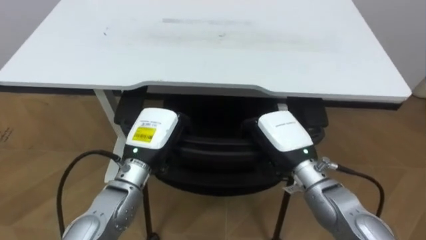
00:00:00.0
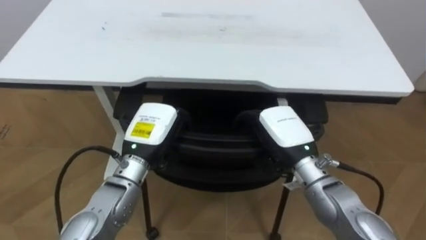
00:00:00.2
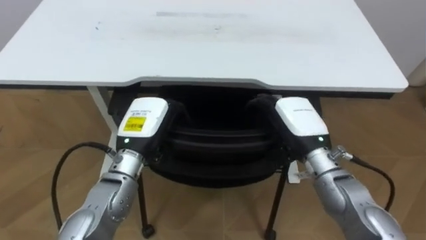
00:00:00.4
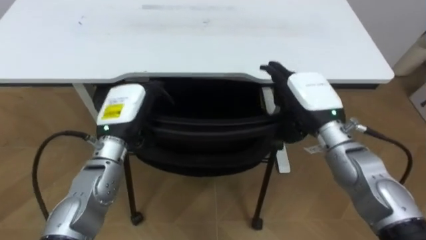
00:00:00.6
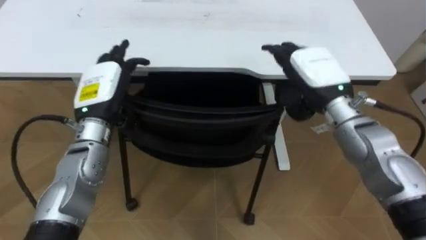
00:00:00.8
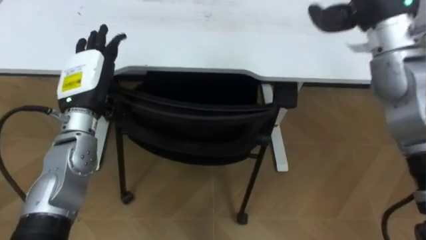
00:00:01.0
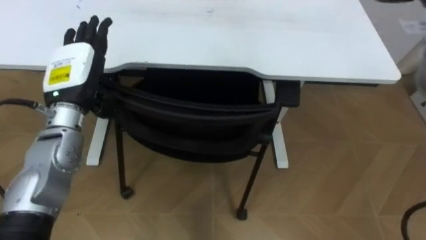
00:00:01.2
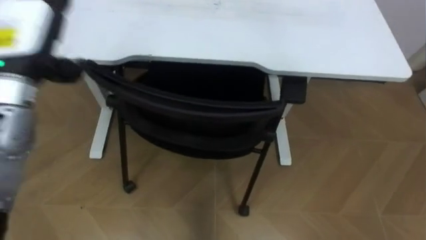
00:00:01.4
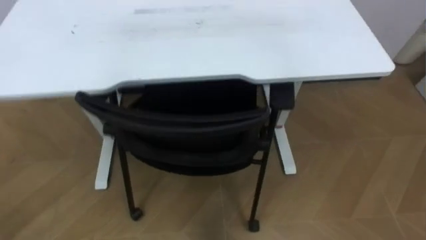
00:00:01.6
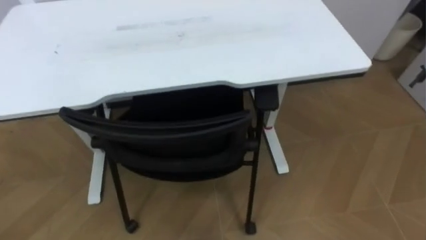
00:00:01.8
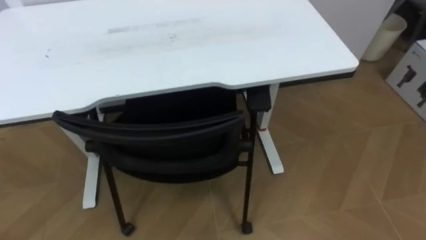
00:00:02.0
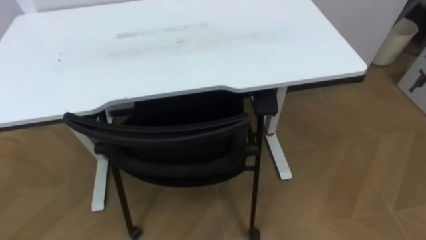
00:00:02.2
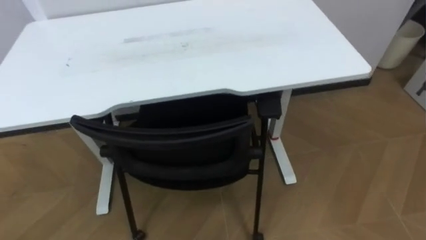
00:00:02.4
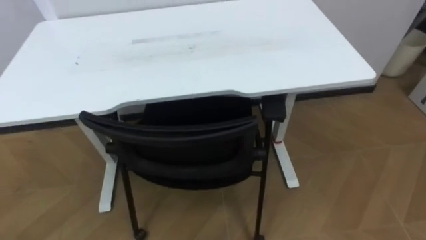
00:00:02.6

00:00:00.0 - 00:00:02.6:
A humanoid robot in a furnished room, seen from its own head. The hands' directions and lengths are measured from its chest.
Task of the whole recording: Push the chair under the table.
00:00:00.0 - 00:00:01.2: The left hand moves to the left, upward and forward, roughly 15 cm, and opens.

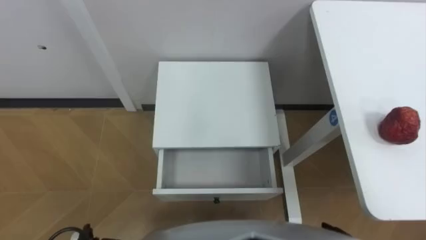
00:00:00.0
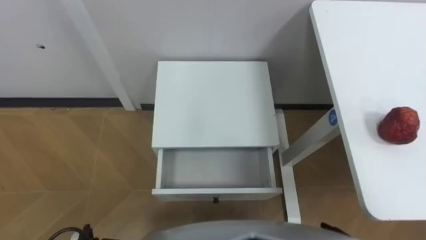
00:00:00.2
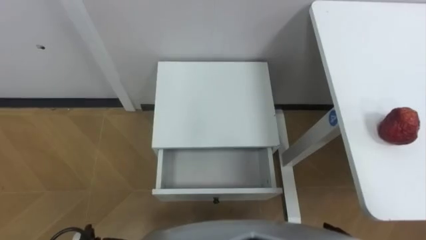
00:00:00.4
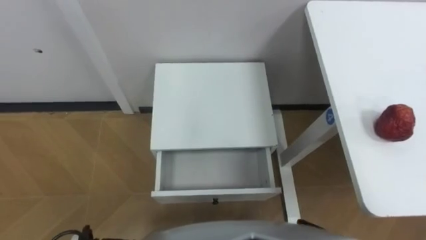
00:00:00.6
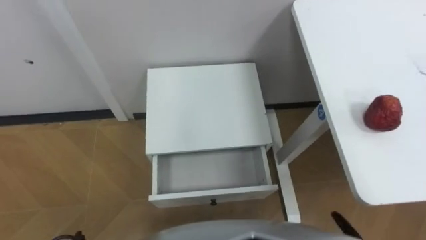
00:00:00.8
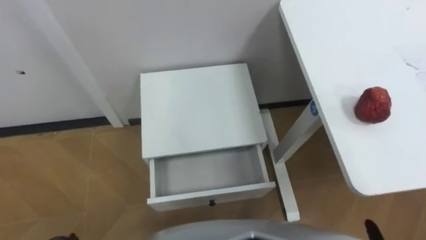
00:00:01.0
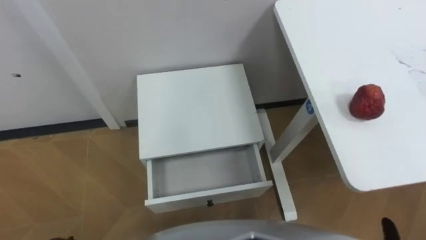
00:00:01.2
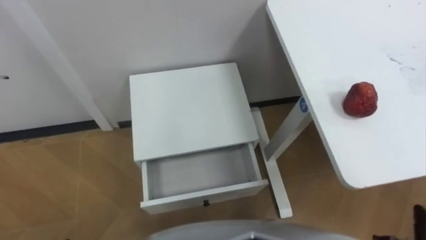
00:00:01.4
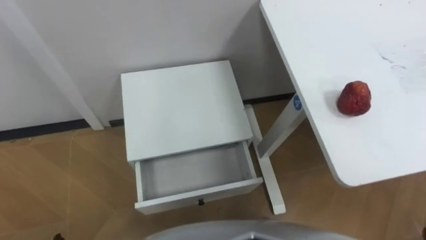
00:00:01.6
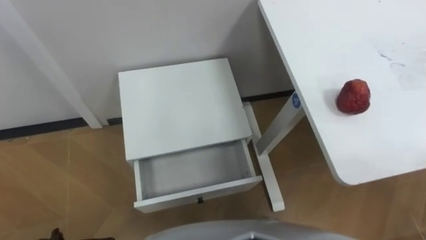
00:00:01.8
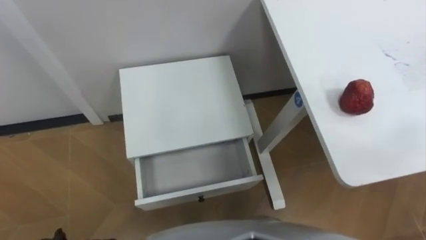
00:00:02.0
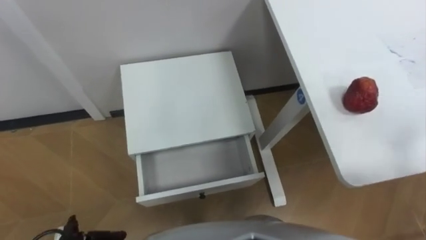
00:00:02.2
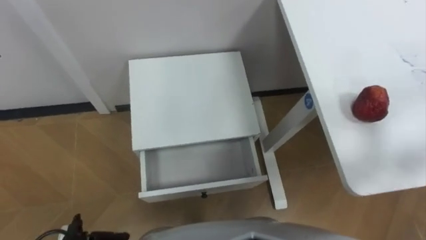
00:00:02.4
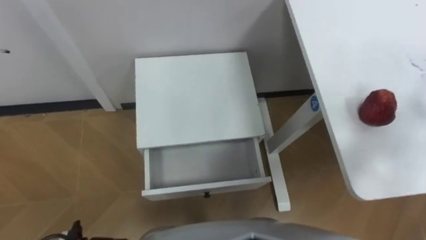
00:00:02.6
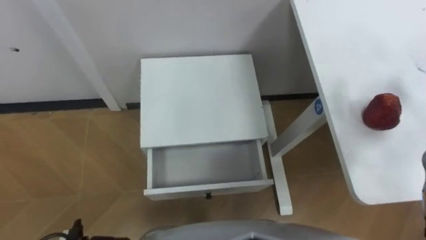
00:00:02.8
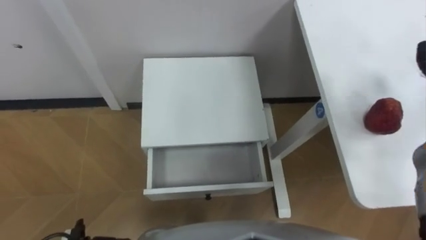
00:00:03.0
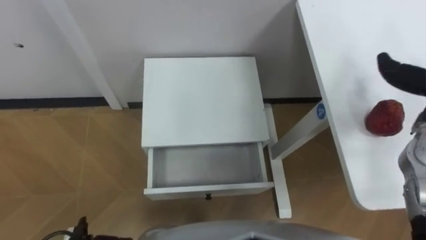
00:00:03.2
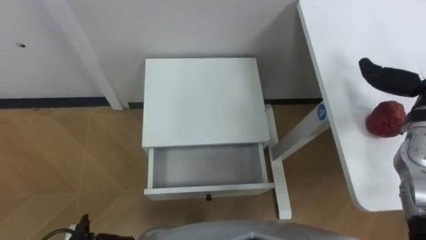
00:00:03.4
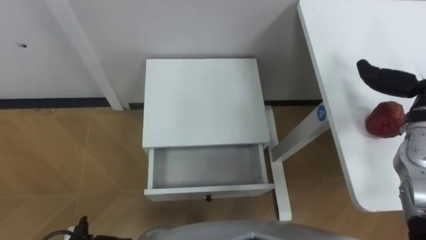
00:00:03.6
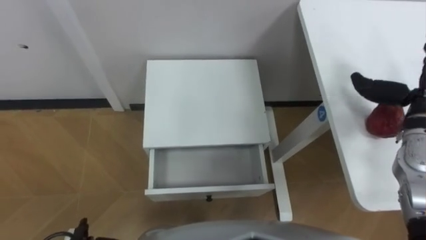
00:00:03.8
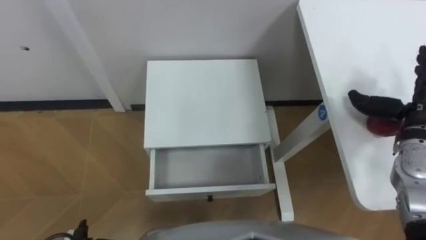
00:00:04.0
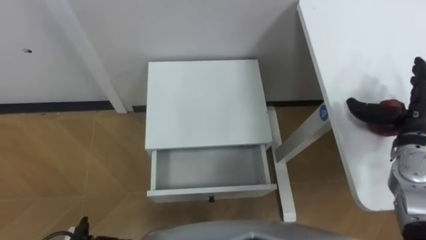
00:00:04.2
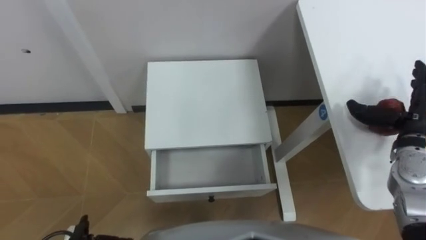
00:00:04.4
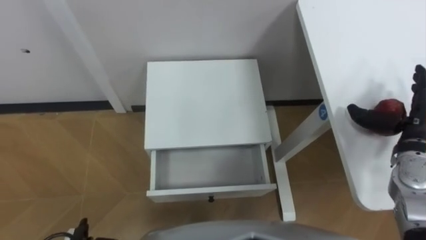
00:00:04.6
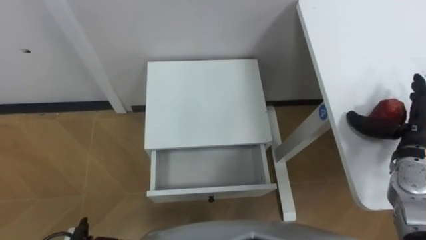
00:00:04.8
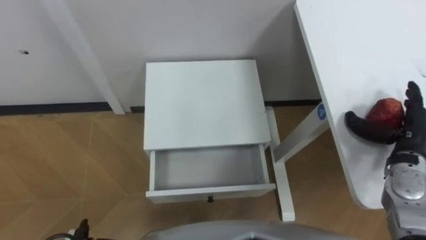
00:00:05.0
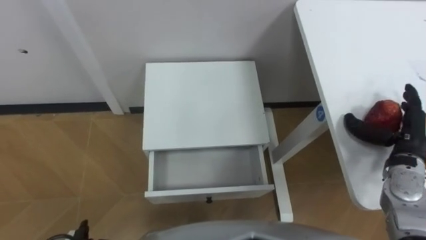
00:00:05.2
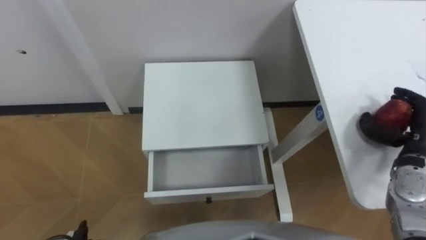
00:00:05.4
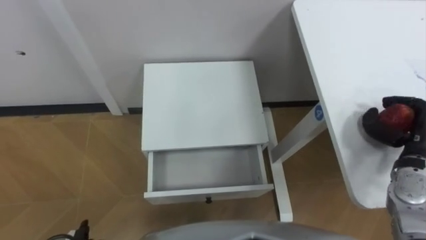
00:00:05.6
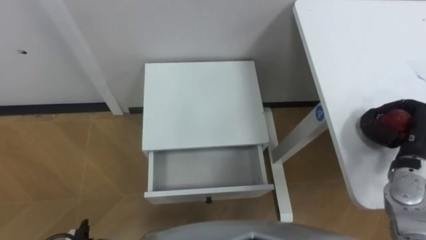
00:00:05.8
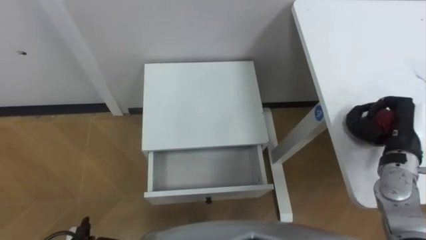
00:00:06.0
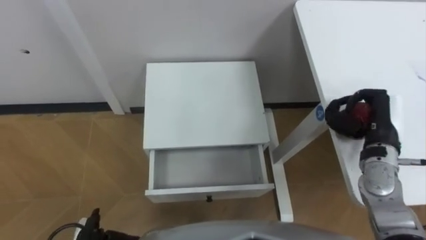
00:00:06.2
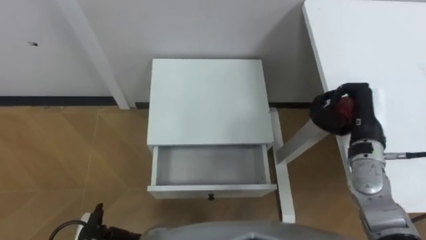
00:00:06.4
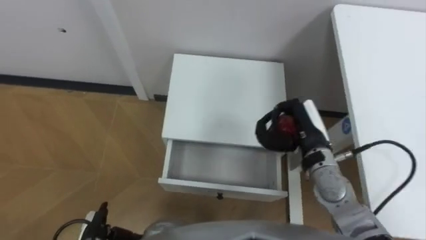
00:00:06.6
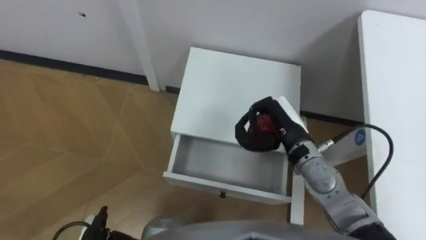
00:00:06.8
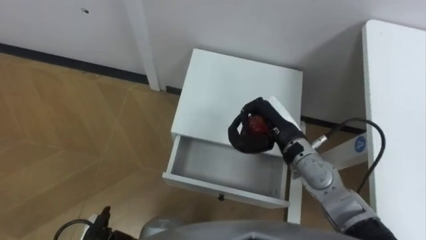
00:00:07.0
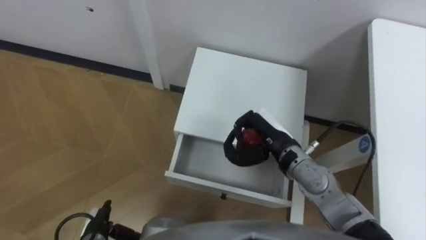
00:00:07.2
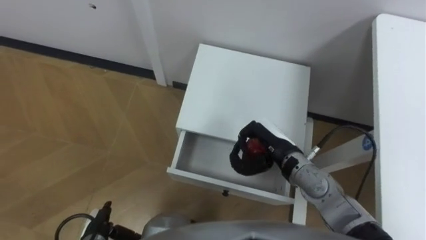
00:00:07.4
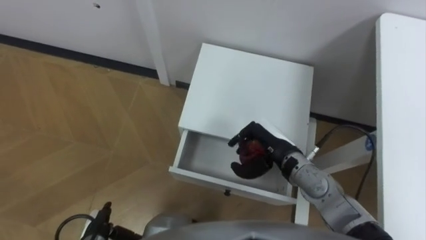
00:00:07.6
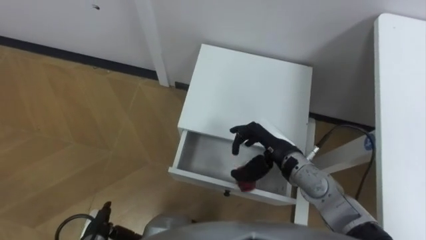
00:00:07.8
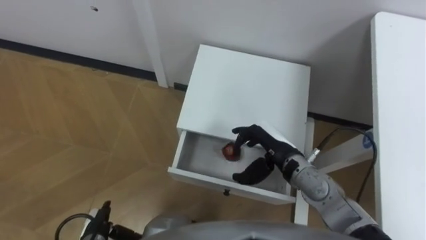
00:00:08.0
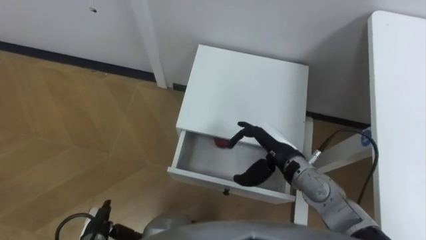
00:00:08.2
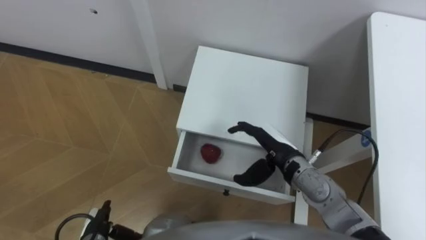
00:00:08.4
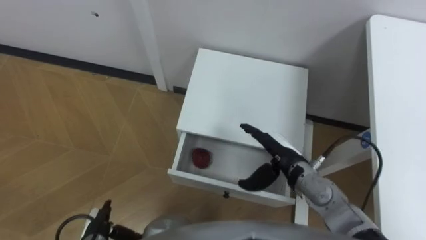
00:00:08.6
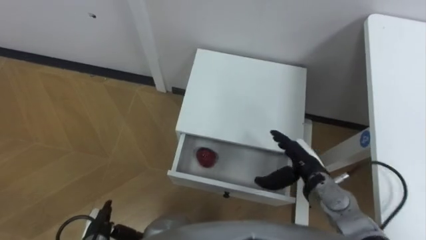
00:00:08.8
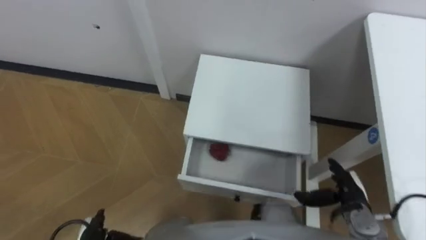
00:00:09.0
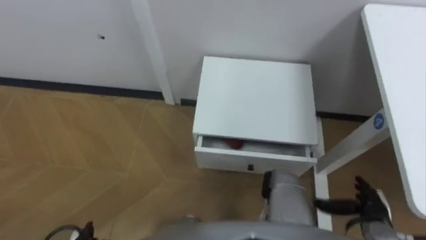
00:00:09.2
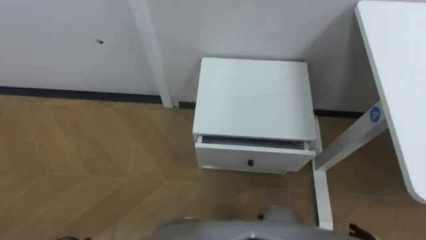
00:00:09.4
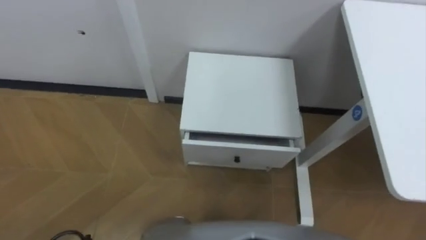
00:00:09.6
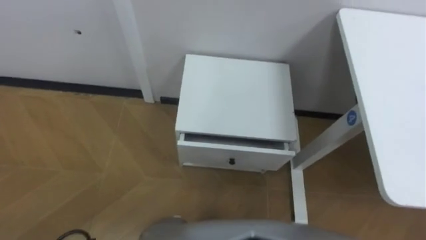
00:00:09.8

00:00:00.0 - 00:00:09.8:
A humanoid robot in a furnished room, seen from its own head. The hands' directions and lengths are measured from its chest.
Task of the whole recording: Pick up the apple from the table, put it in the drawer, and close the drawer with leg.
00:00:04.2 - 00:00:05.6: The right hand closes up.
00:00:05.6 - 00:00:07.0: The right hand travels to the left by some 25 cm.
00:00:07.0 - 00:00:08.4: The right hand changes place by about 5 cm, and opens up.

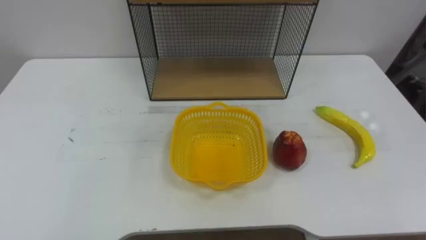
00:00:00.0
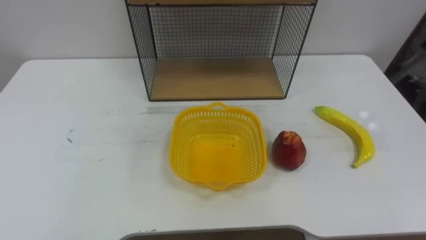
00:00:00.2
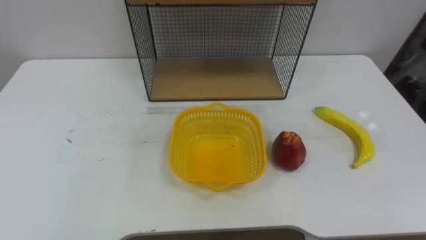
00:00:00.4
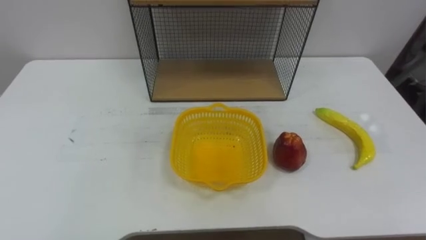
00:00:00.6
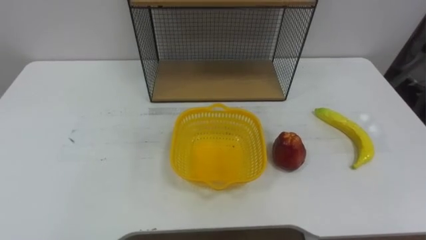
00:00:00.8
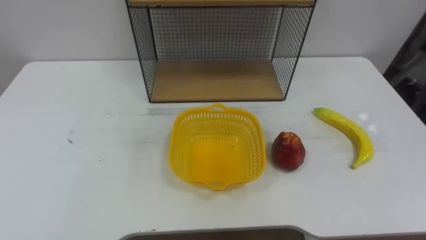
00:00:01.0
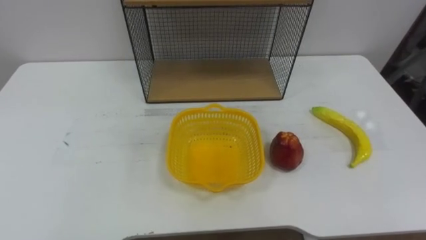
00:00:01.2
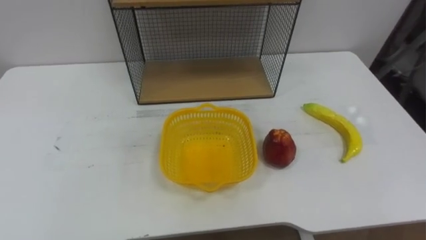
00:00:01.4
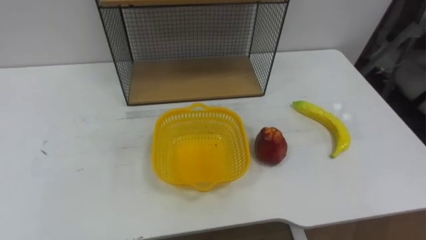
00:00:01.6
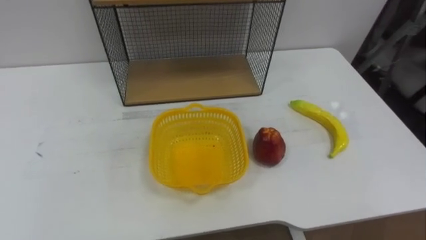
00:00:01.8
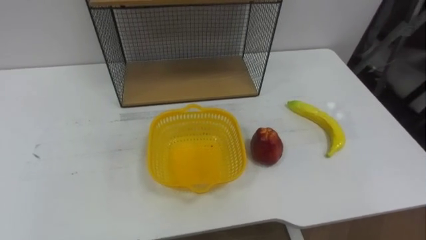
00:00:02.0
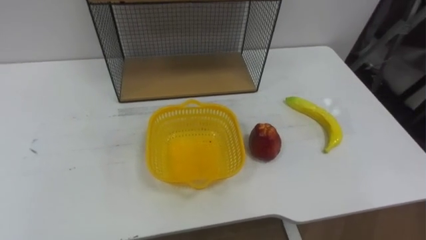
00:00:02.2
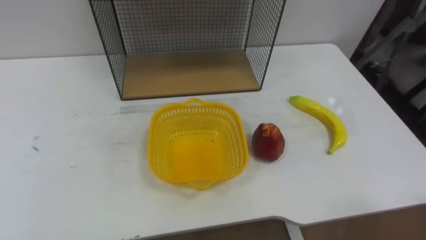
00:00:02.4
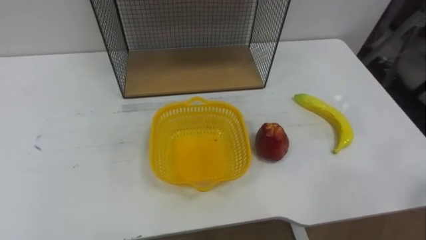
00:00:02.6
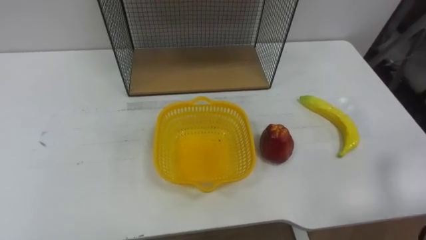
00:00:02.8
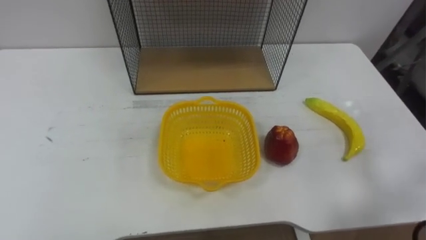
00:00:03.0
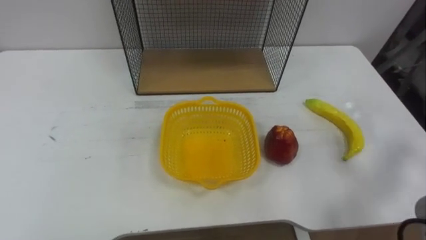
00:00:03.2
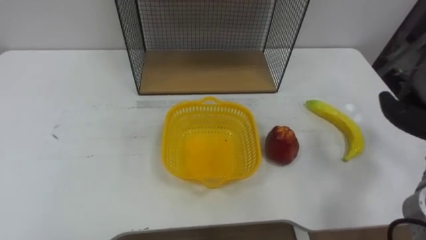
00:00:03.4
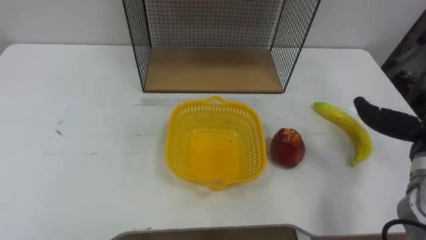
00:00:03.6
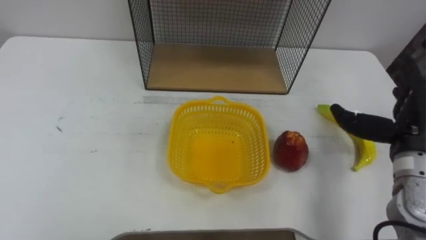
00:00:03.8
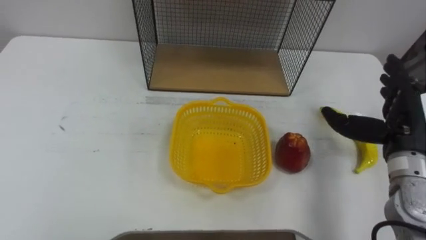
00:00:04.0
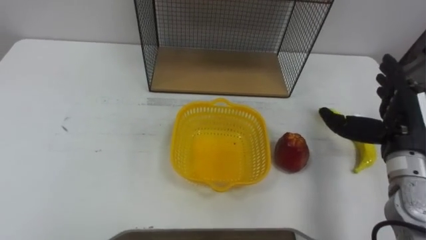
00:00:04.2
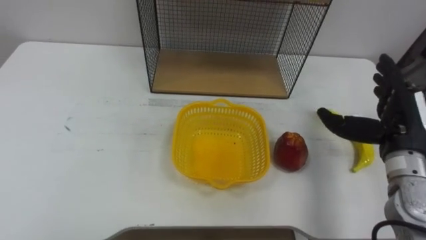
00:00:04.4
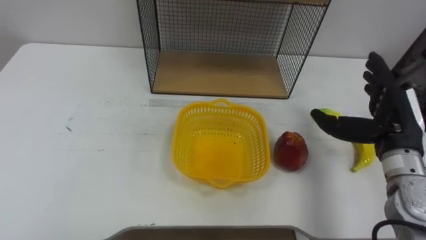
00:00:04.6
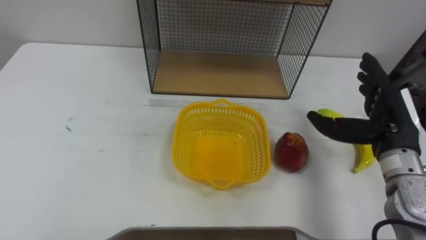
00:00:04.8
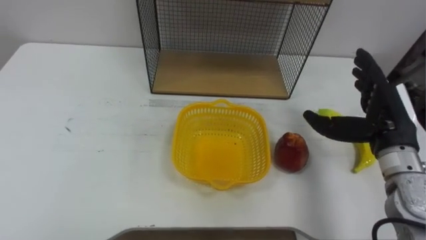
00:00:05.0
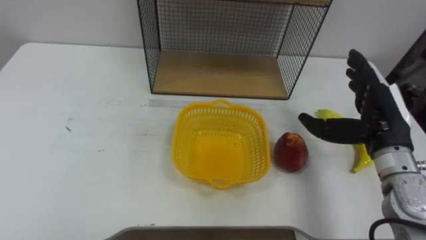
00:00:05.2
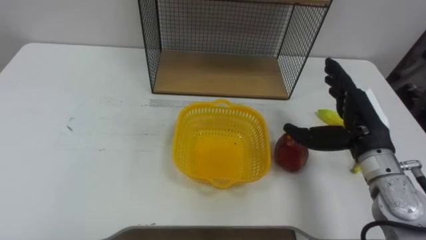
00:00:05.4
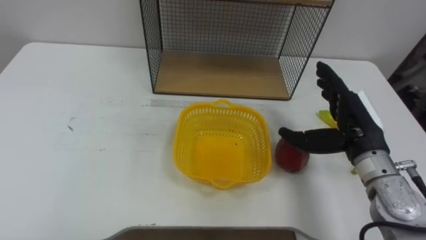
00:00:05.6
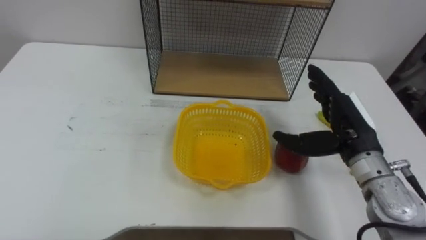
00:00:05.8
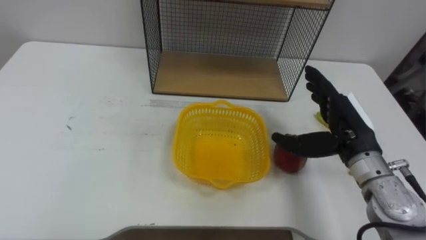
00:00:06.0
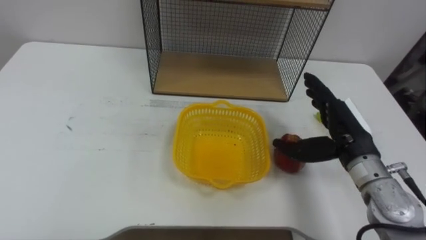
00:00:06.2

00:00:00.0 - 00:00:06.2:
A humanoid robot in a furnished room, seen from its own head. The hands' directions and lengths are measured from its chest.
Task of the whole recording: Put the fruit on the table into the basket, then place the basket on the shelf.
00:00:04.6 - 00:00:06.2: The right hand goes some 5 cm to the left.
